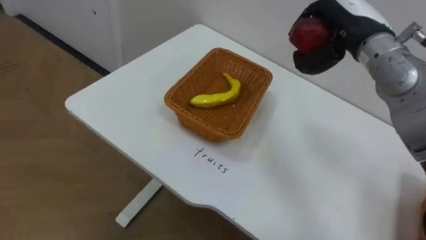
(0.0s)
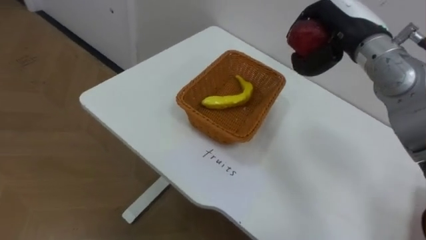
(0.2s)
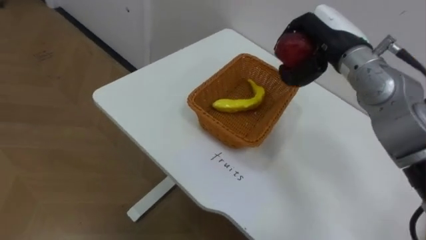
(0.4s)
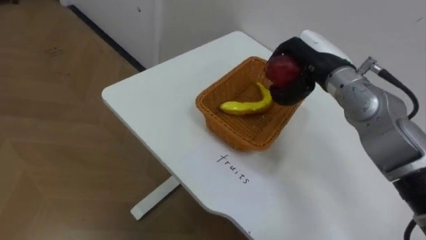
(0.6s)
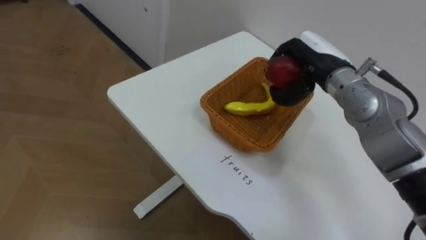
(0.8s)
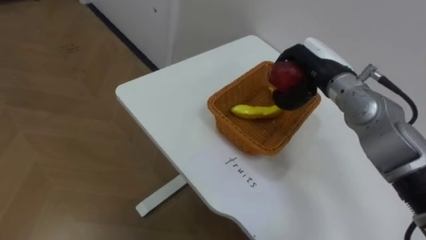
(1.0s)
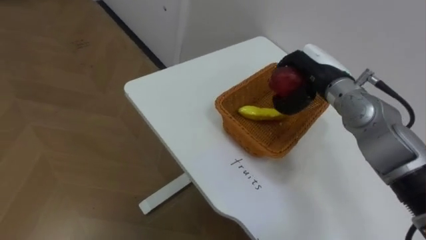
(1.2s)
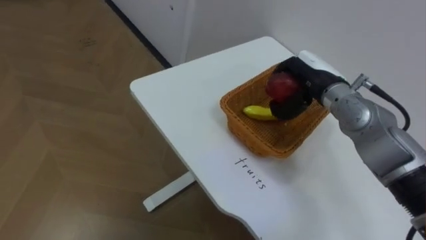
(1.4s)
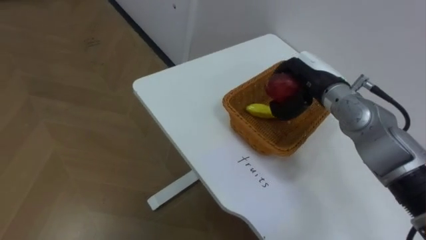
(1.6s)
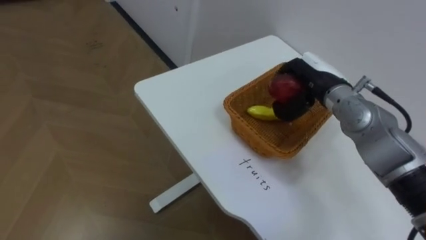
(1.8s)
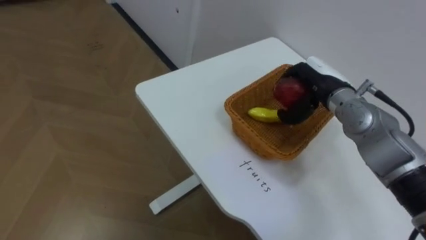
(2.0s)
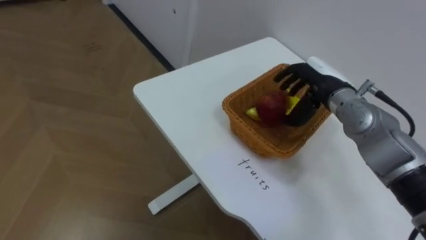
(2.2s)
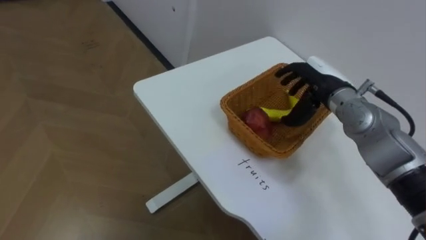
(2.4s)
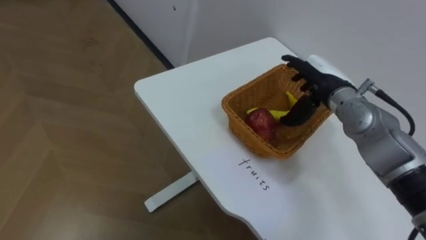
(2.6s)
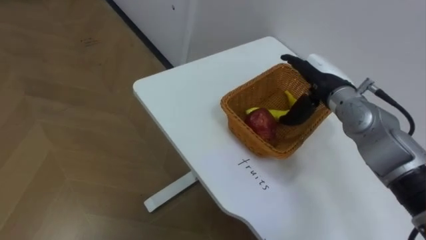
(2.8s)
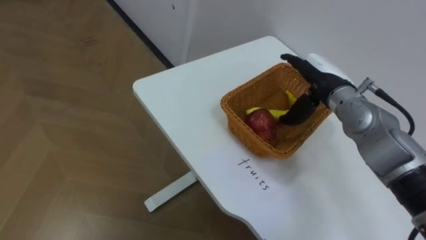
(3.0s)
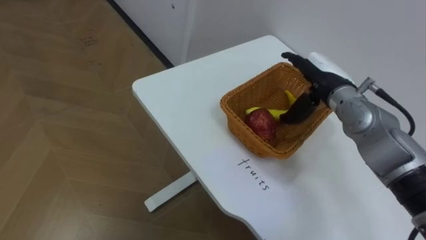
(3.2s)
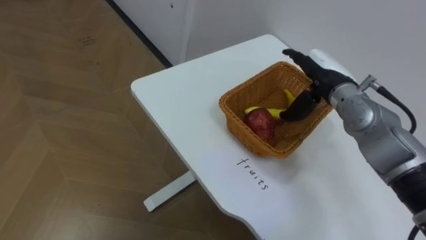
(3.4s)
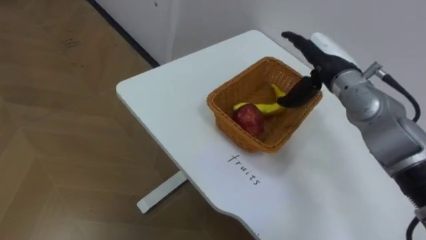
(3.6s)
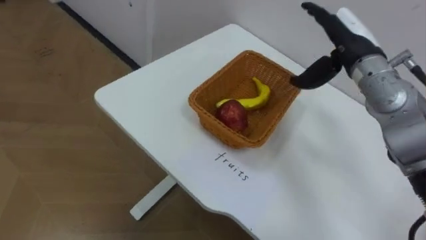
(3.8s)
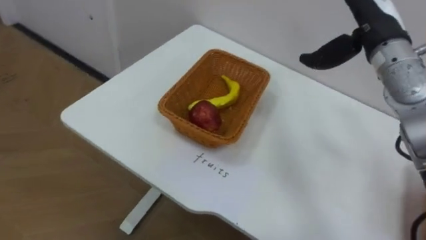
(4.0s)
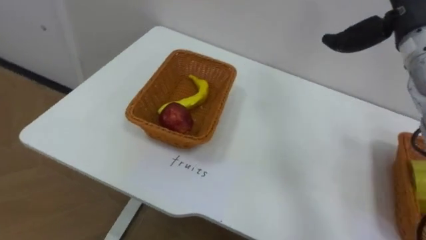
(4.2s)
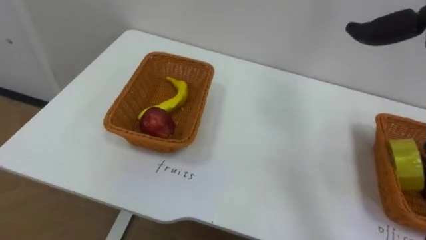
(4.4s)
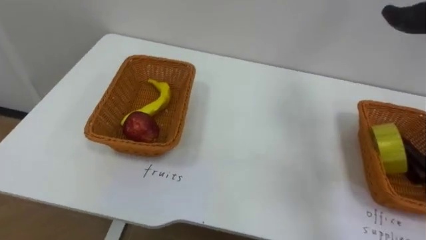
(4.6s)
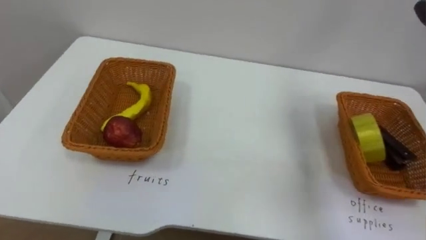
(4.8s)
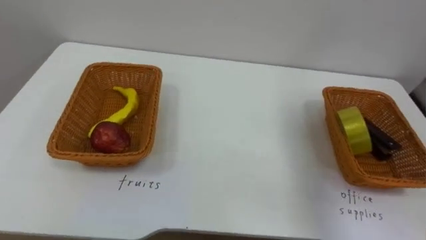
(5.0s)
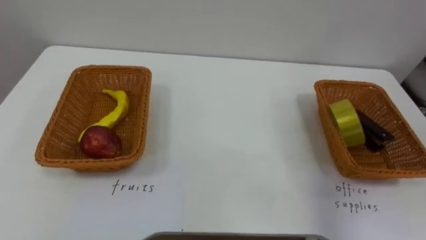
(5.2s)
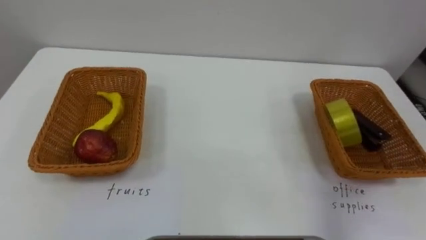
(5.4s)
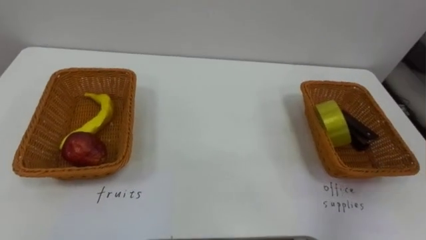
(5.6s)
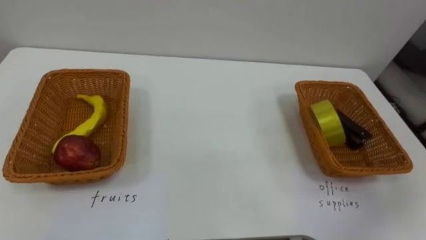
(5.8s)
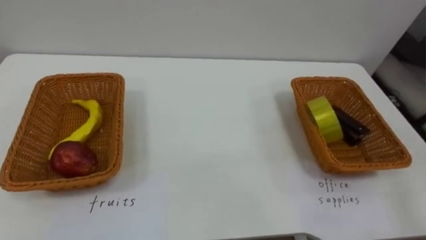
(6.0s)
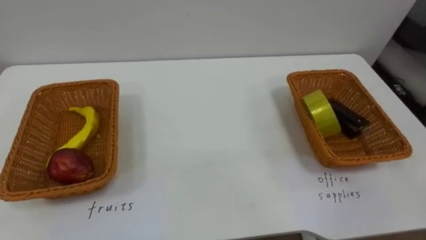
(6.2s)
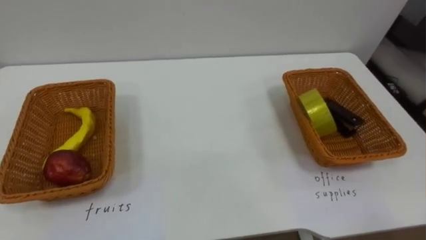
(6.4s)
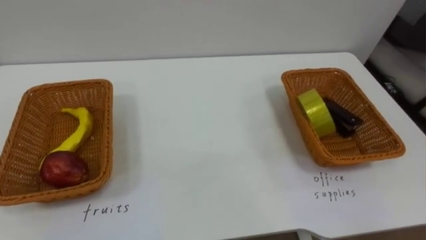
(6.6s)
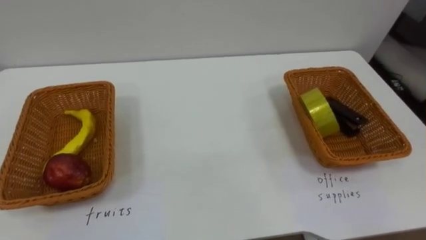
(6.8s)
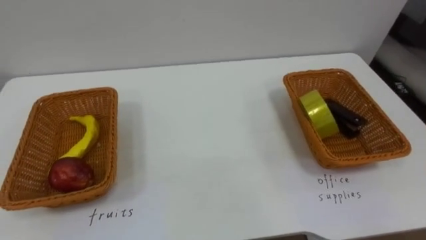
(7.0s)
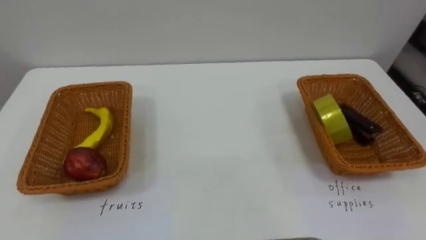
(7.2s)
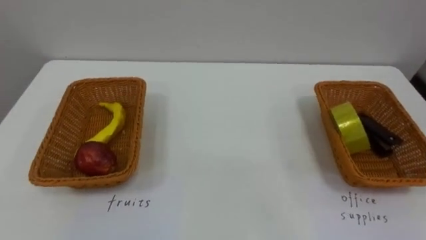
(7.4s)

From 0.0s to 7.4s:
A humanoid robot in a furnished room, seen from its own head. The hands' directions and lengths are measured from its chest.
Task of the whole recording: Separate the items on the table and place them into the two baskets.
From 0.0s to 1.4s: The right hand goes approximately 10 cm downward.
From 1.4s to 3.0s: The right hand opens its fingers.

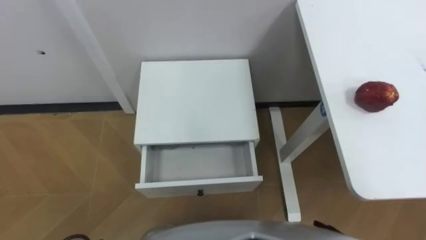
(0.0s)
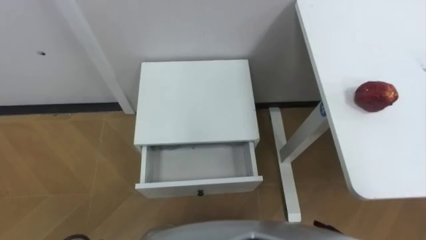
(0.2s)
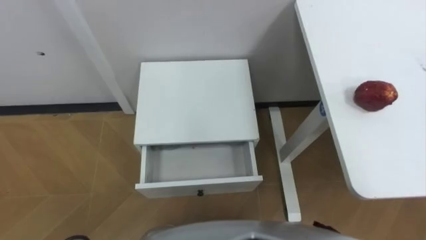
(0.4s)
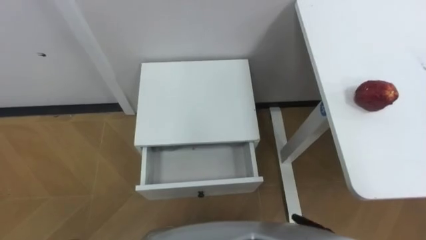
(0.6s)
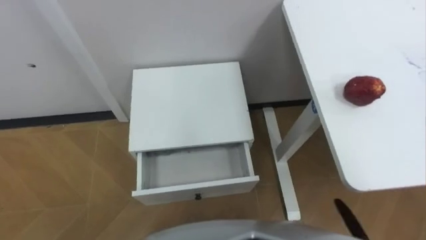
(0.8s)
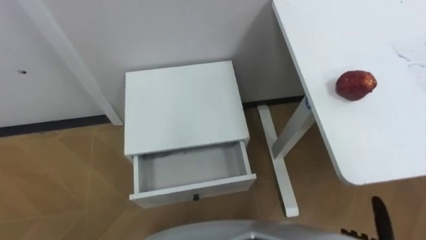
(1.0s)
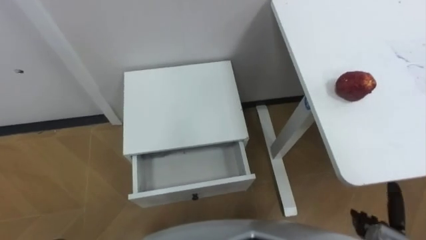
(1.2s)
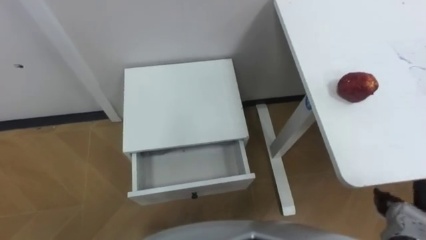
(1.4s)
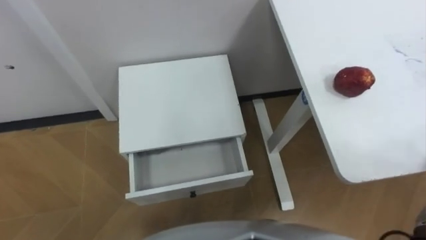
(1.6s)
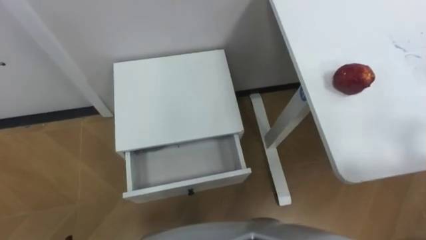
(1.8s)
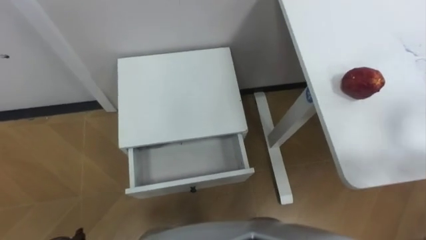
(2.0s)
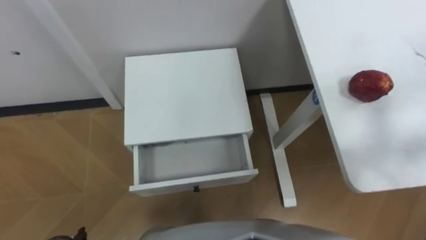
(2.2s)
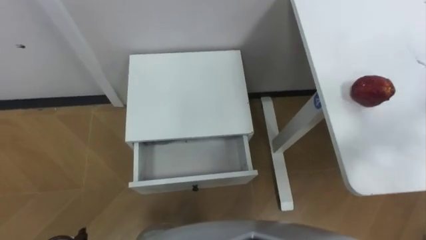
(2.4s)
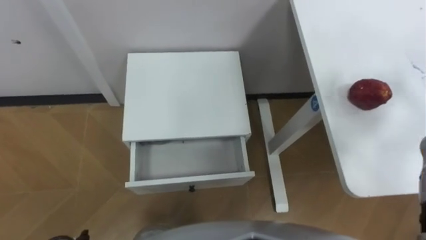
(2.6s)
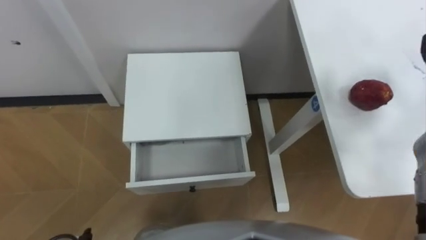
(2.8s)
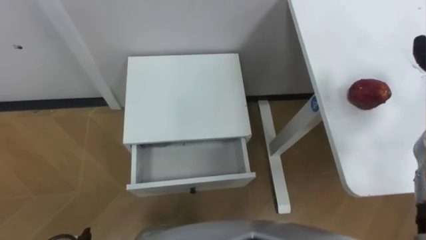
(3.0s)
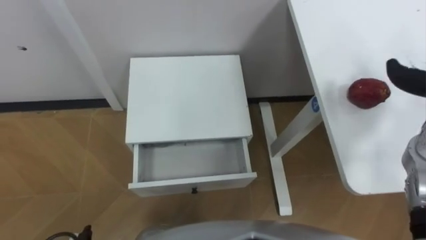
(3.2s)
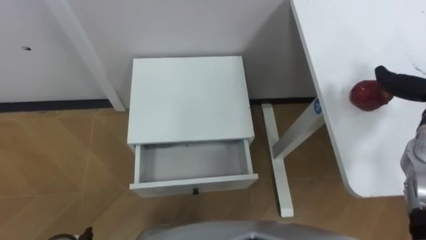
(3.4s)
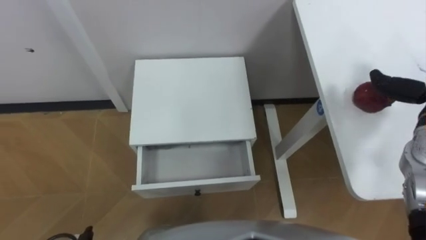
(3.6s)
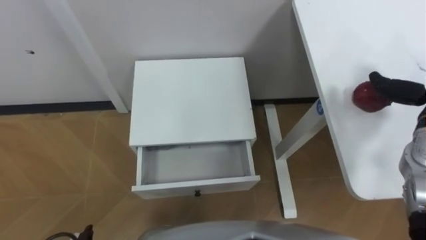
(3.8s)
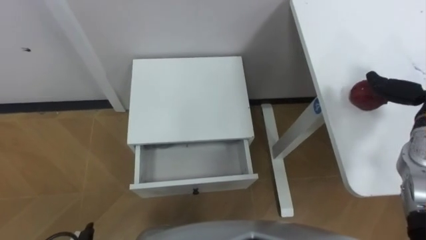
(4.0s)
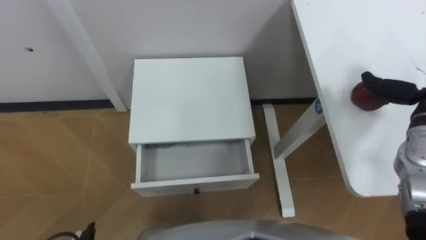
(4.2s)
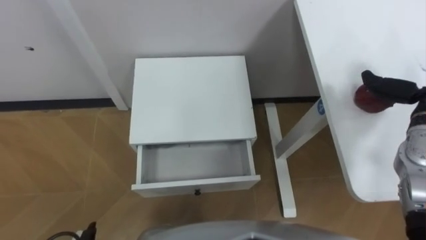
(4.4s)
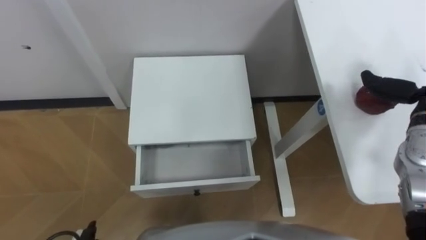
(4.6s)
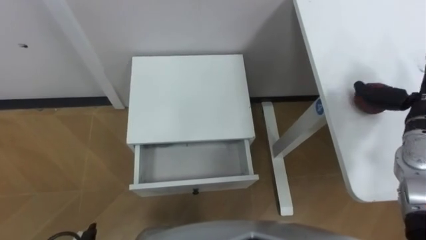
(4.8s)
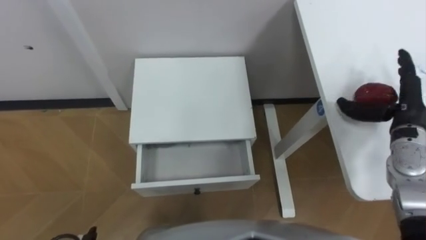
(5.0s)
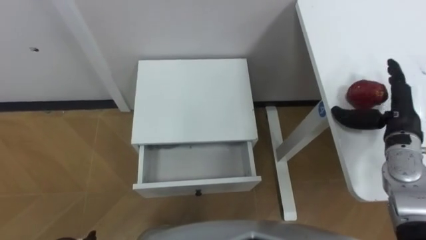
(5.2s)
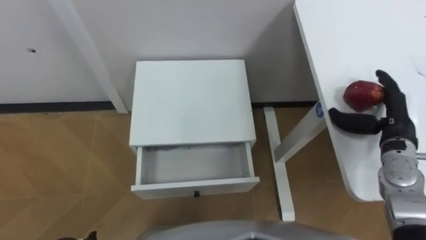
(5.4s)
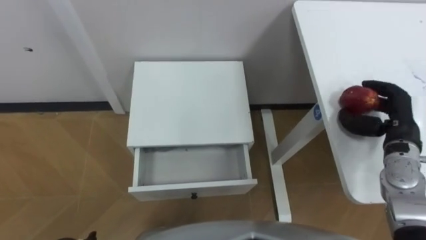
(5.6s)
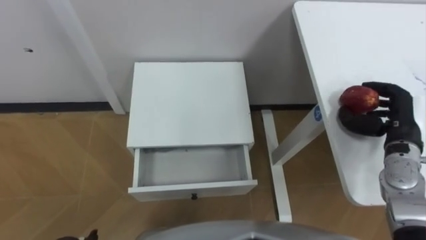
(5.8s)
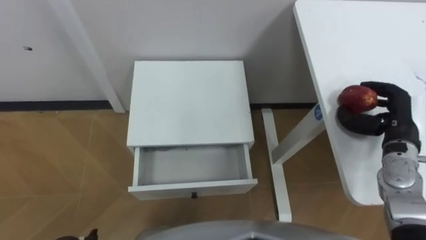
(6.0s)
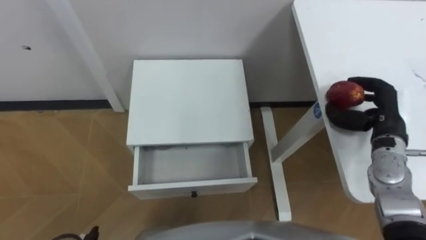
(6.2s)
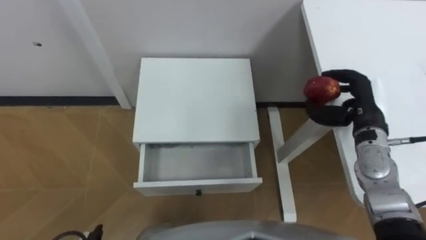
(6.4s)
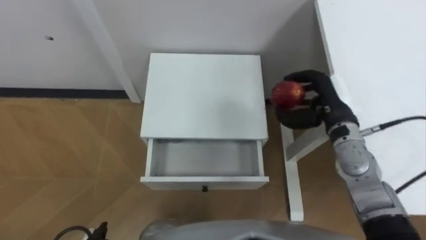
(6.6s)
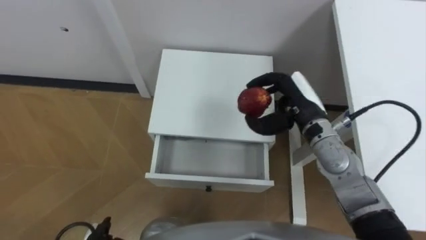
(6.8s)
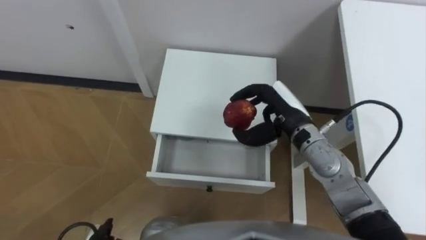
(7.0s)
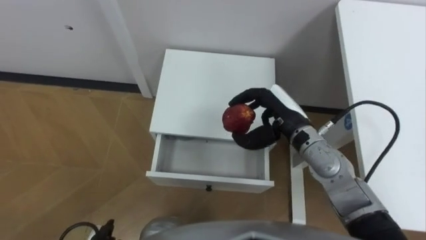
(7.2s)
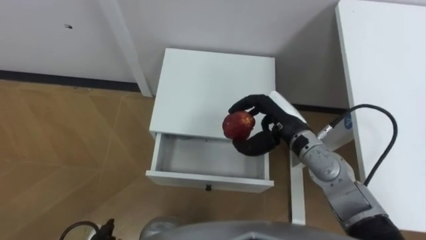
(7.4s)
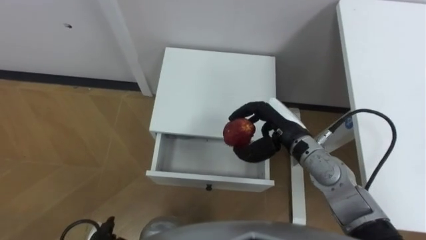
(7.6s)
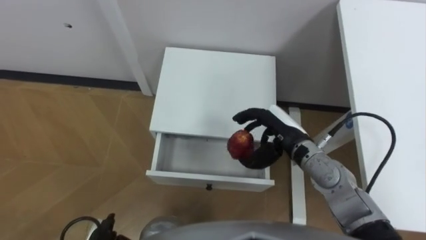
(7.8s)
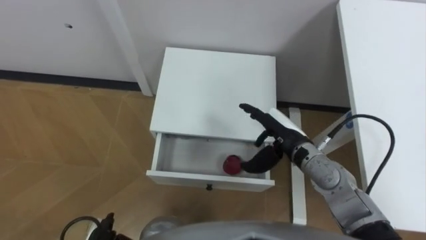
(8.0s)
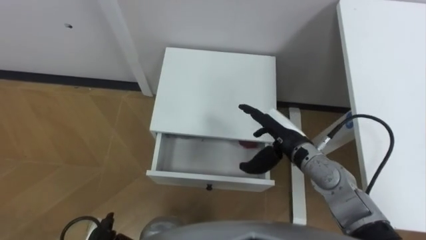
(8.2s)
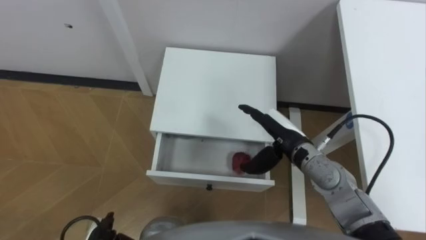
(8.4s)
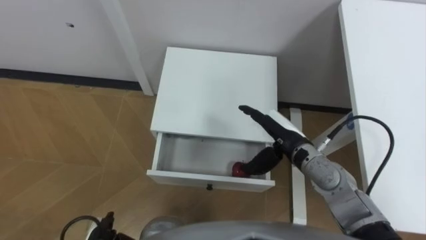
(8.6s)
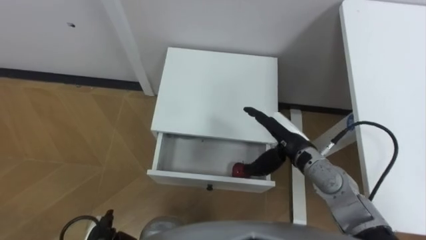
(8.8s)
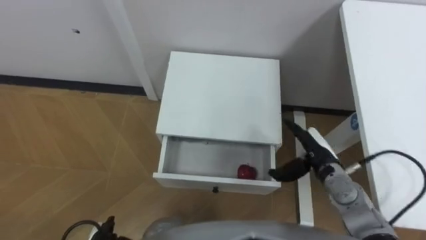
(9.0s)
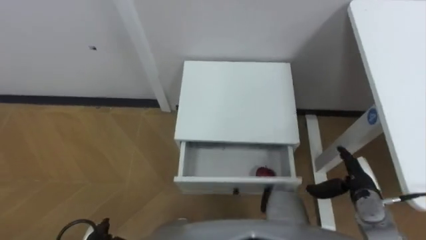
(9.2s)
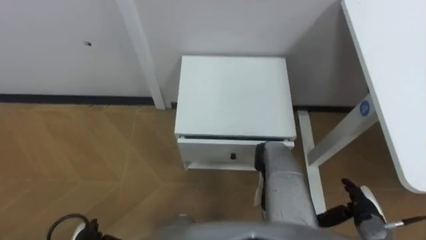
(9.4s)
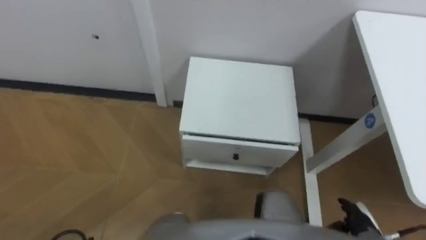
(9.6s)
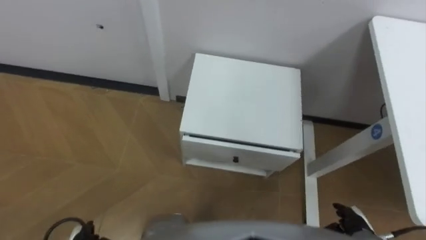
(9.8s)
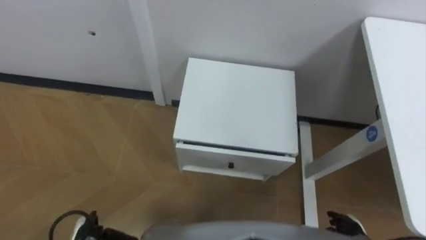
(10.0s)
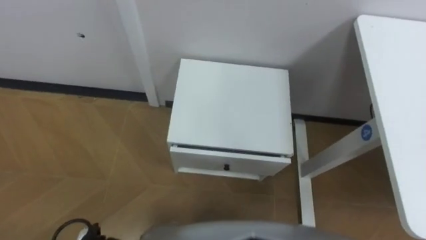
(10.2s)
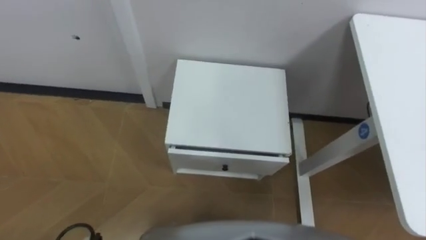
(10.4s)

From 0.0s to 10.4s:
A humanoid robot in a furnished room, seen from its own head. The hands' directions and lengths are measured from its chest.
Task of the whole recording: Pick up the apple from the table, put it in the drawer, and close the drawer with leg.
From 6.0s to 7.4s: The right hand goes about 20 cm to the left.
From 7.4s to 9.0s: The right hand goes some 10 cm downward and to the right, and opens.
